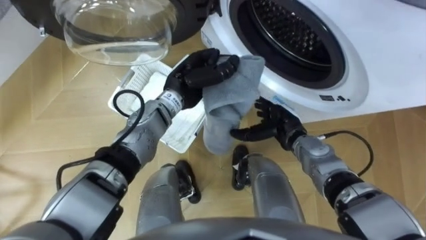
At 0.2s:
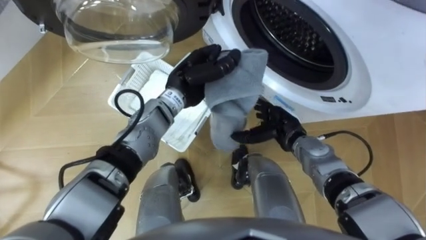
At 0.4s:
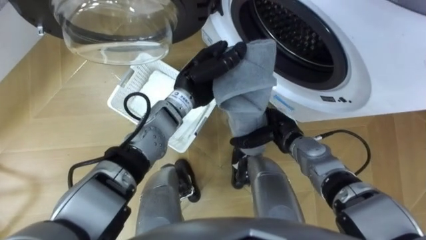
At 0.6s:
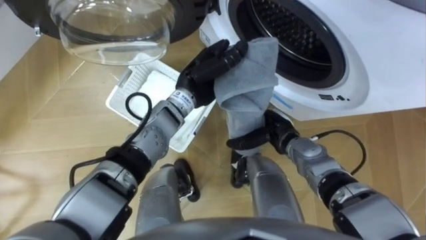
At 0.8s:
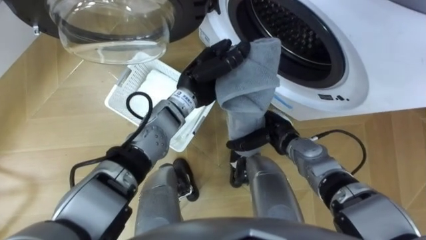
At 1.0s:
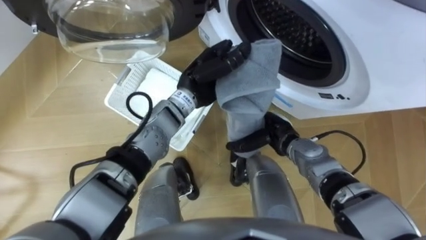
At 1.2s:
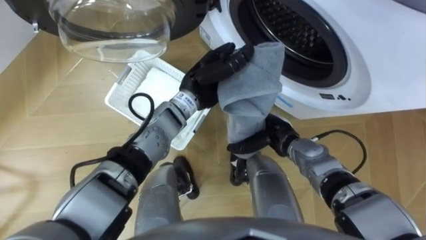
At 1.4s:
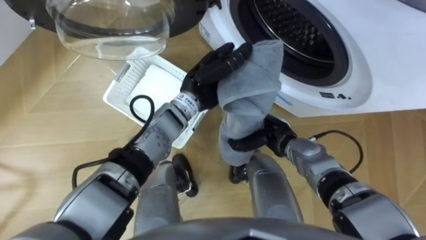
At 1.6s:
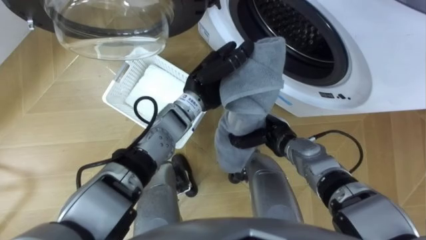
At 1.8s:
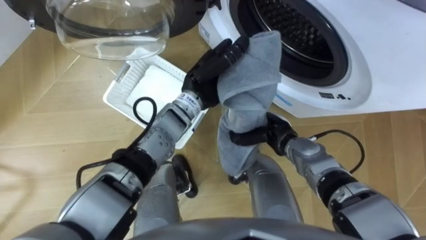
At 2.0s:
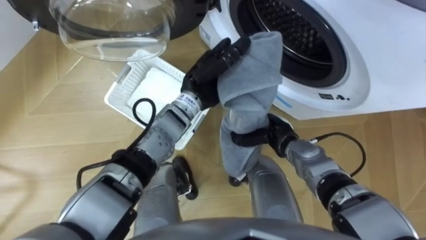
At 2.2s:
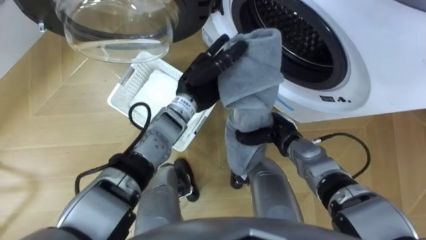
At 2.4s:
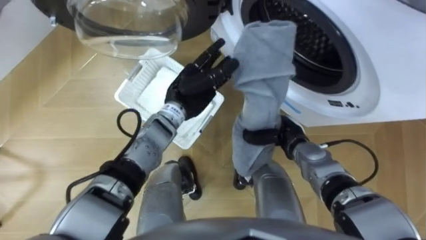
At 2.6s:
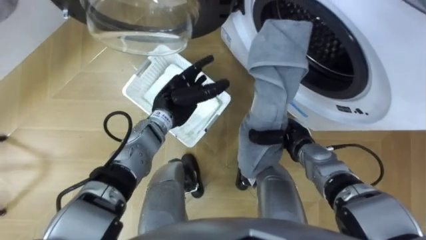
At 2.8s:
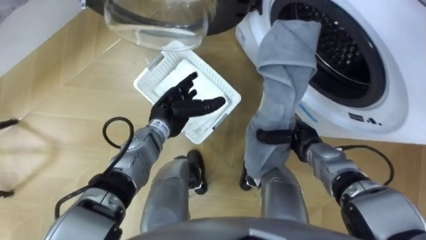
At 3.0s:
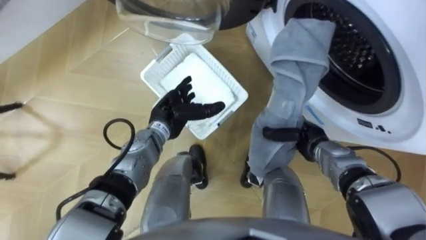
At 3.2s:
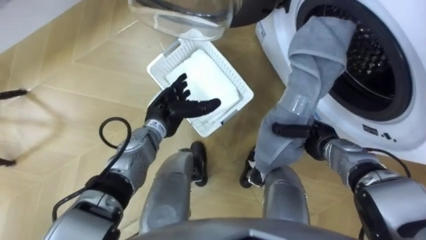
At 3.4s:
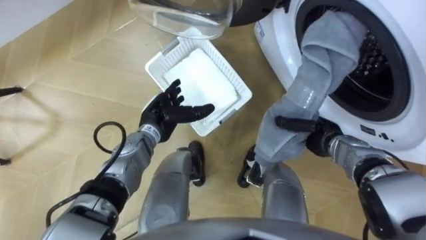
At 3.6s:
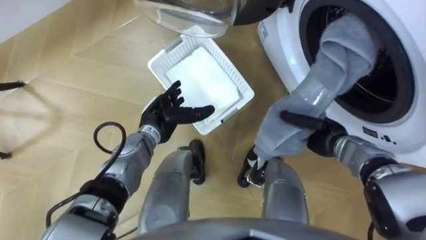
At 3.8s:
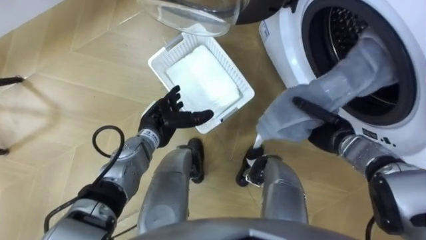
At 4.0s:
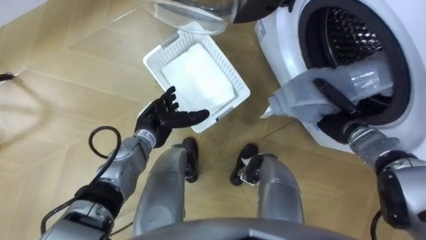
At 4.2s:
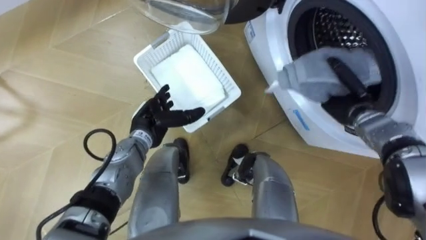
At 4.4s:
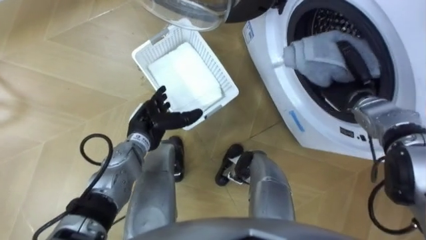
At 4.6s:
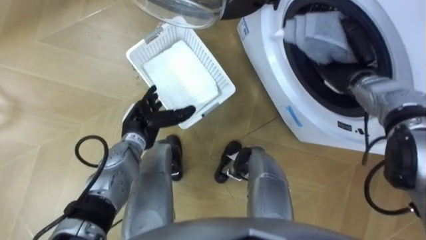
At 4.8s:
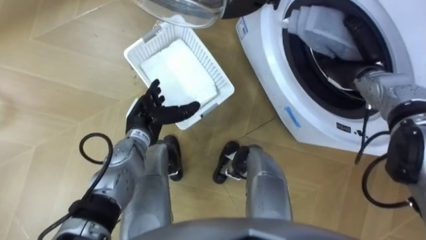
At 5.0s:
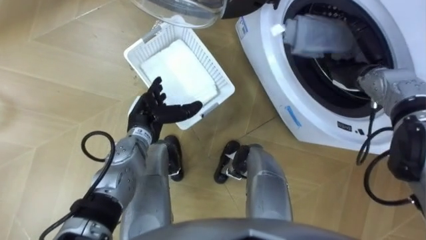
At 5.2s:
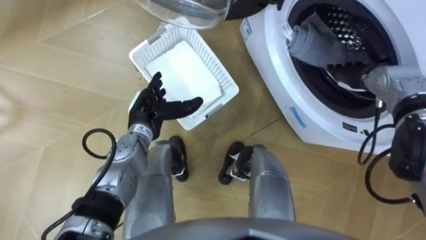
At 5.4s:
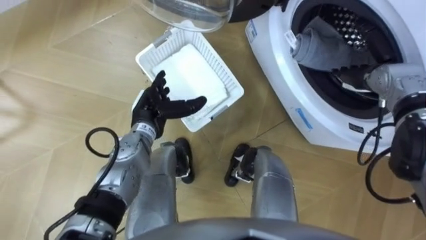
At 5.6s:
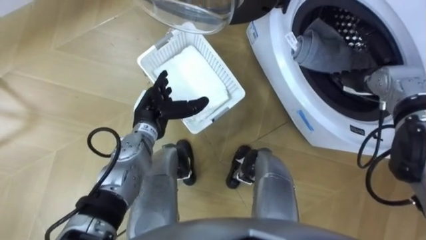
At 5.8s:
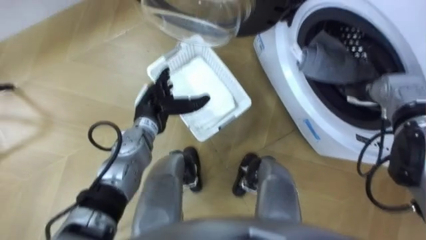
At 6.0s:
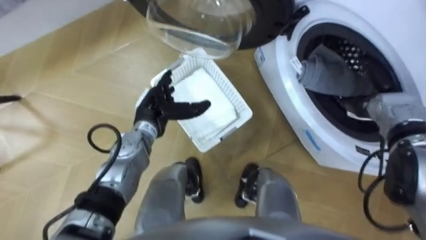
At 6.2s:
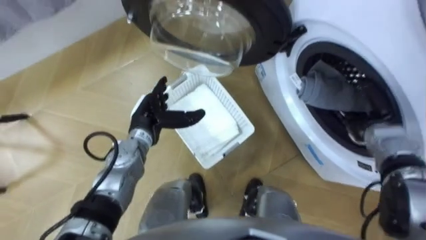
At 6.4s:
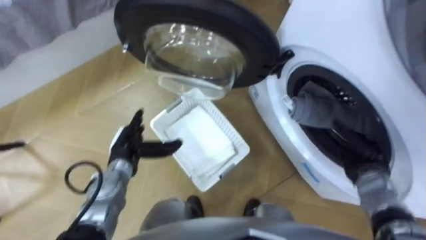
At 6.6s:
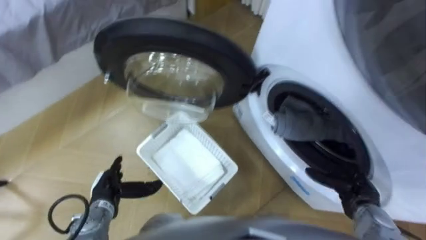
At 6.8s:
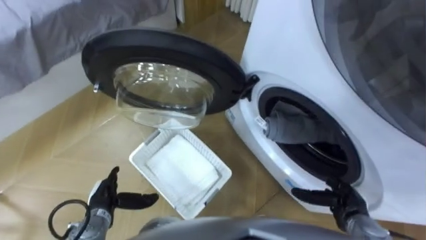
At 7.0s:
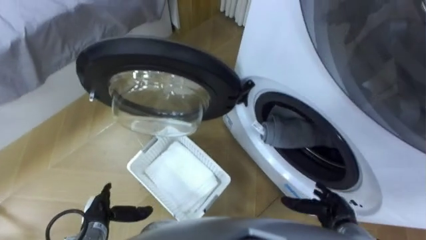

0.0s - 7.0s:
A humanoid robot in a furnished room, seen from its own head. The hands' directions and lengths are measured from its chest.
Task of the whole recording: Take the towel from the basket and put it into the washing machine.
1.4s - 2.8s: The right hand shifts some 5 cm to the right, and closes up. Meanwhile the left hand heads to the left and downward, covering some 10 cm, and opens its fingers.
2.8s - 4.2s: The left hand changes place by some 5 cm, while the right hand goes some 15 cm to the right, upward and forward.
4.2s - 5.6s: The right hand moves upward, roughly 5 cm, and opens up.
5.6s - 7.0s: The left hand heads backward, downward and to the left, covering roughly 25 cm; the right hand heads backward and downward, covering approximately 30 cm.

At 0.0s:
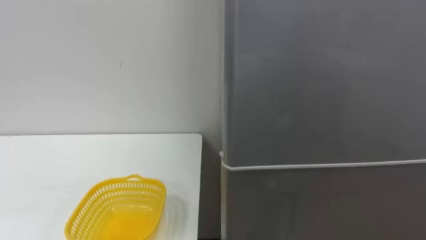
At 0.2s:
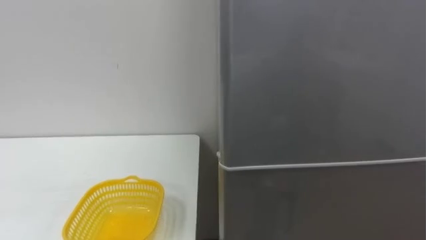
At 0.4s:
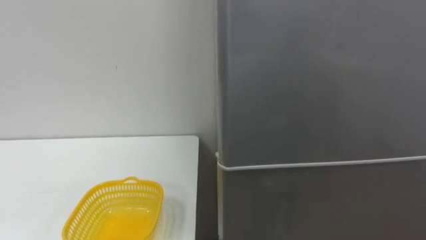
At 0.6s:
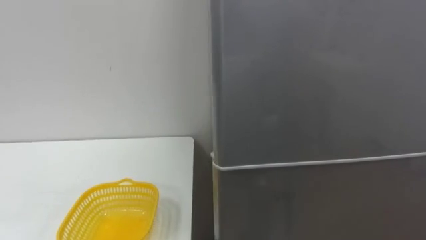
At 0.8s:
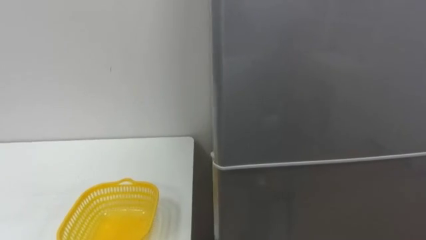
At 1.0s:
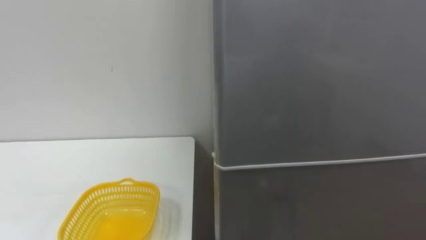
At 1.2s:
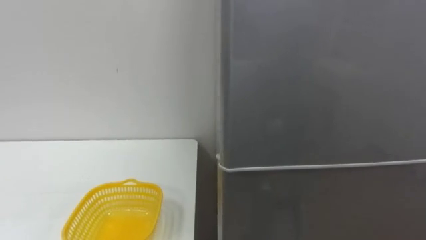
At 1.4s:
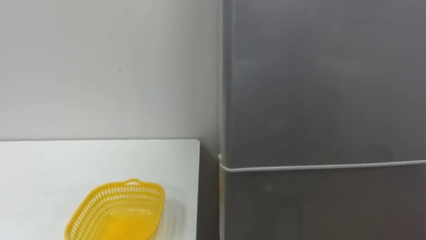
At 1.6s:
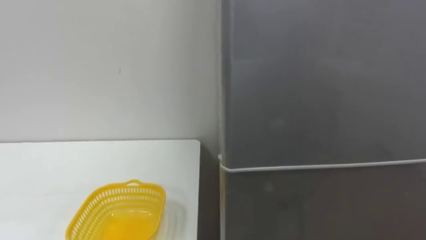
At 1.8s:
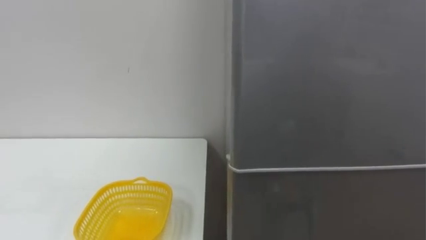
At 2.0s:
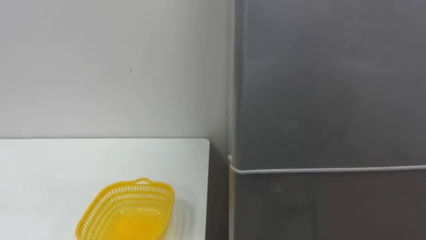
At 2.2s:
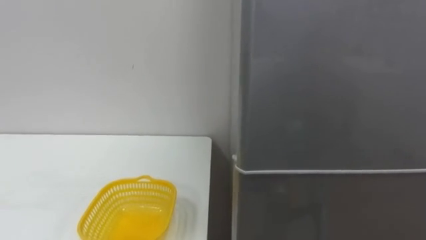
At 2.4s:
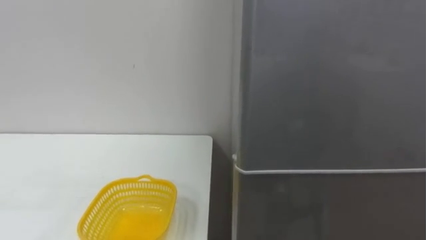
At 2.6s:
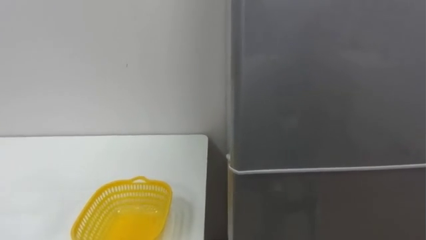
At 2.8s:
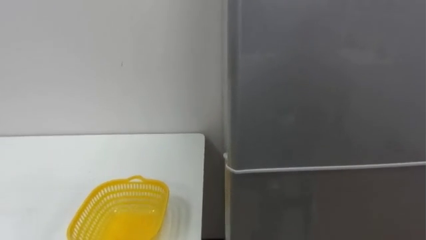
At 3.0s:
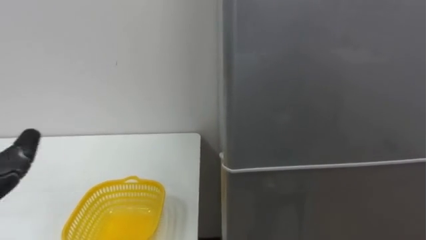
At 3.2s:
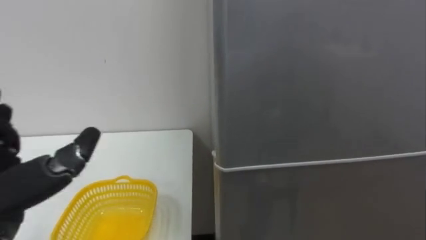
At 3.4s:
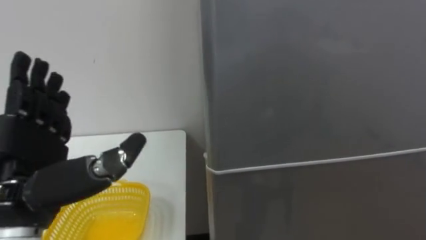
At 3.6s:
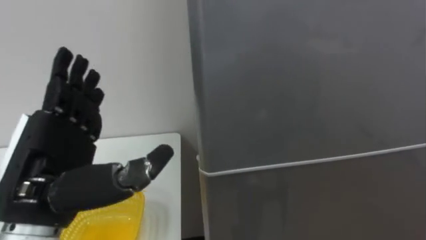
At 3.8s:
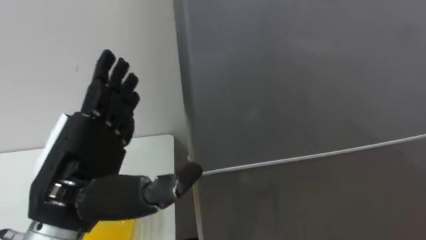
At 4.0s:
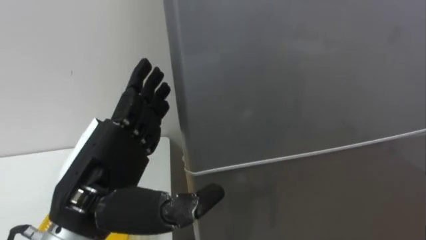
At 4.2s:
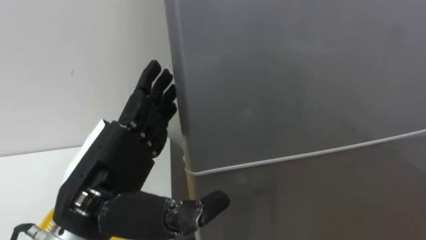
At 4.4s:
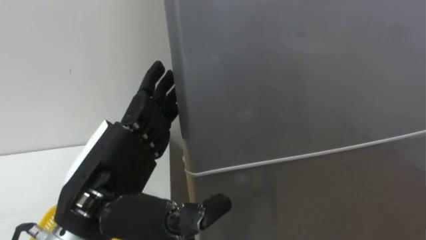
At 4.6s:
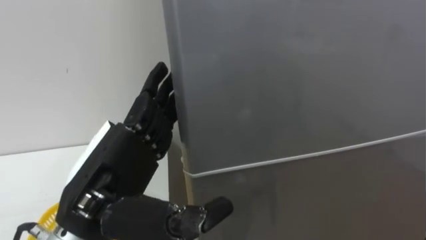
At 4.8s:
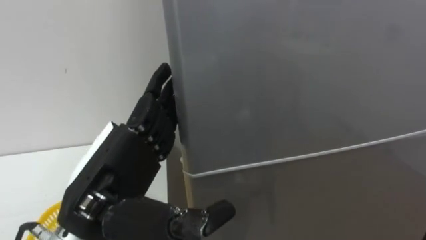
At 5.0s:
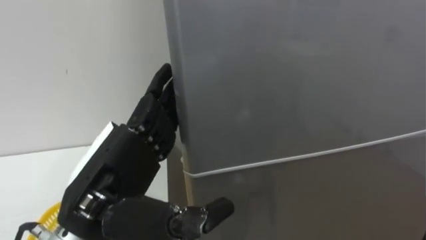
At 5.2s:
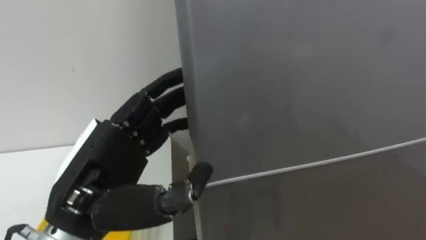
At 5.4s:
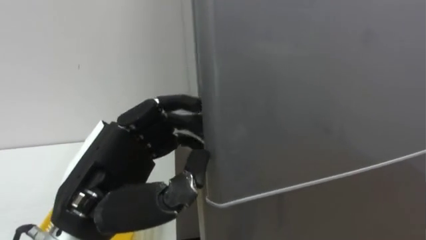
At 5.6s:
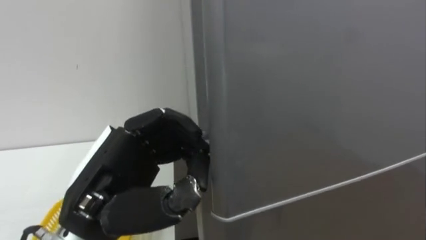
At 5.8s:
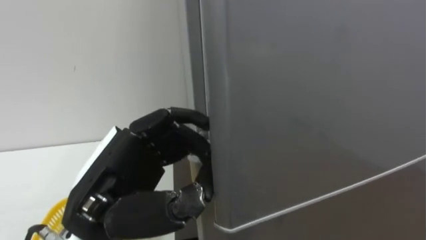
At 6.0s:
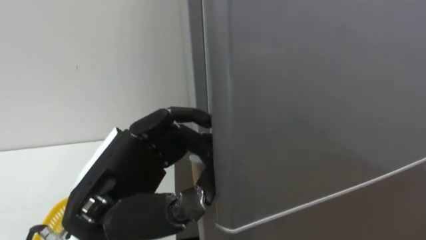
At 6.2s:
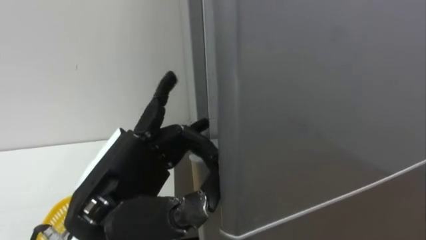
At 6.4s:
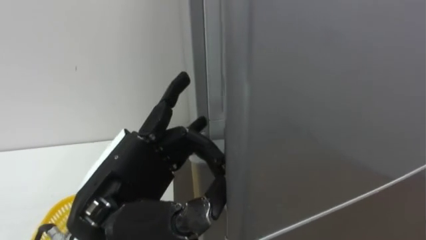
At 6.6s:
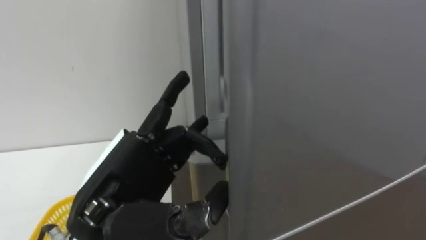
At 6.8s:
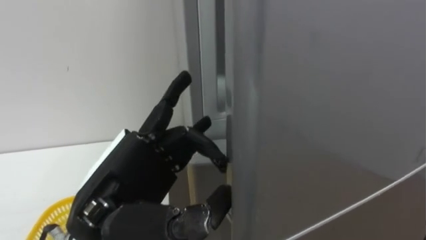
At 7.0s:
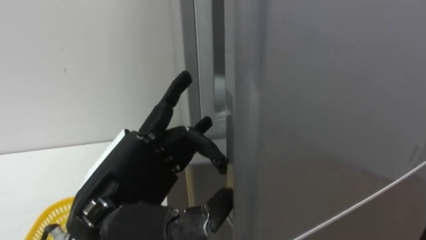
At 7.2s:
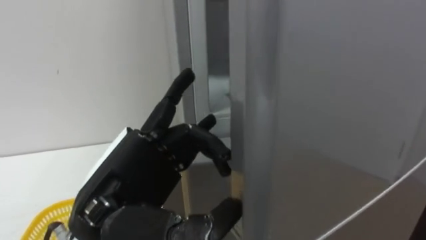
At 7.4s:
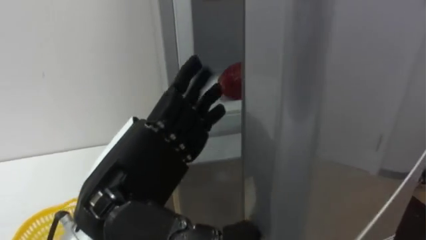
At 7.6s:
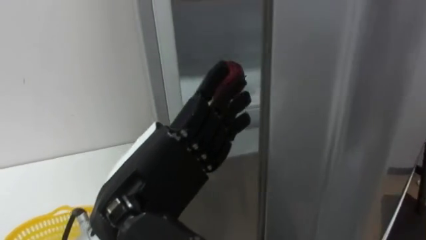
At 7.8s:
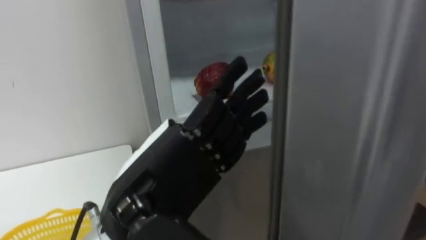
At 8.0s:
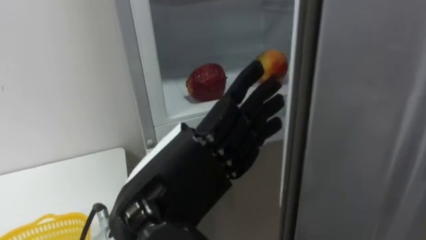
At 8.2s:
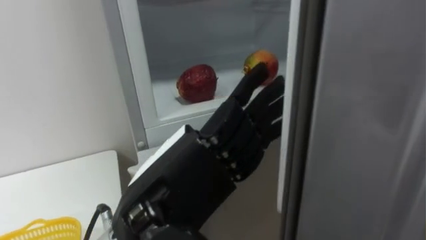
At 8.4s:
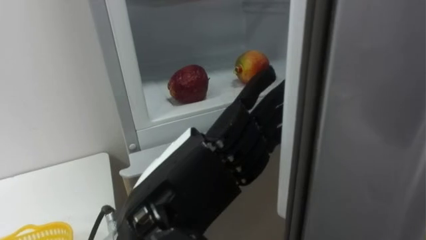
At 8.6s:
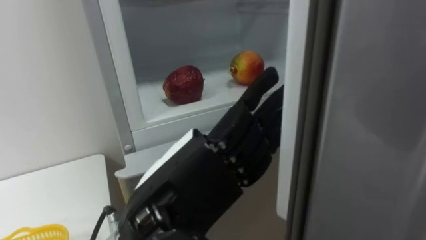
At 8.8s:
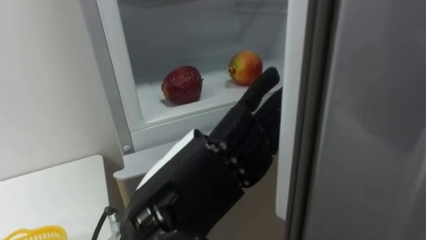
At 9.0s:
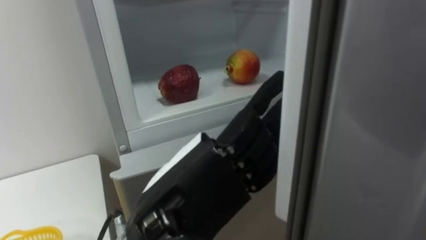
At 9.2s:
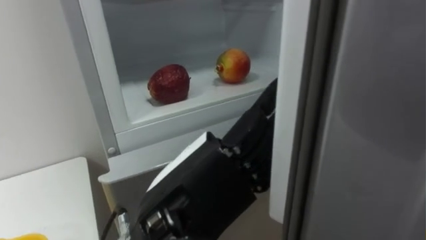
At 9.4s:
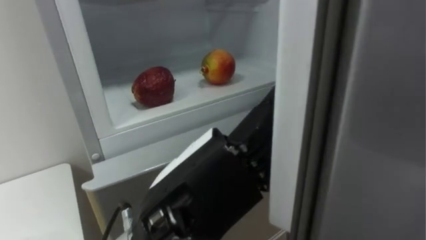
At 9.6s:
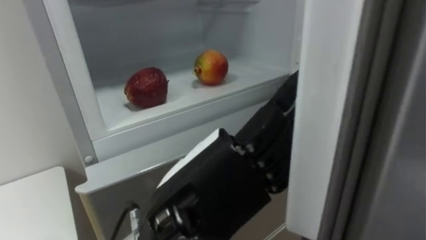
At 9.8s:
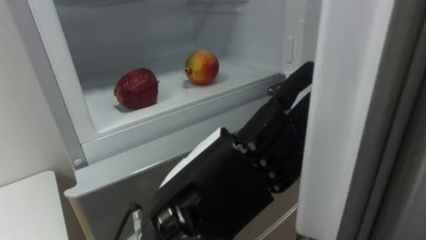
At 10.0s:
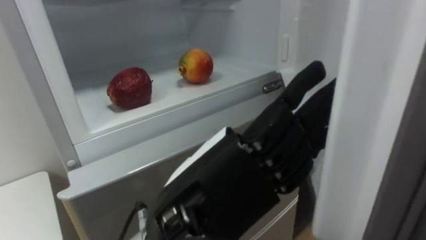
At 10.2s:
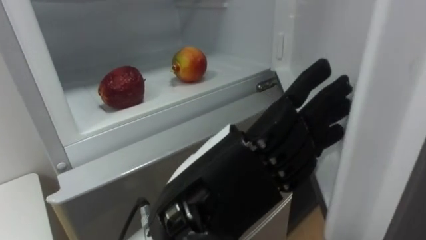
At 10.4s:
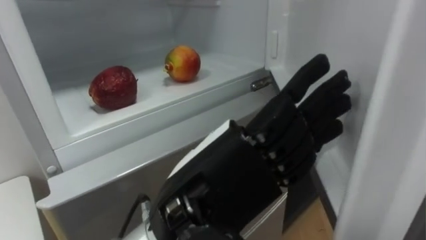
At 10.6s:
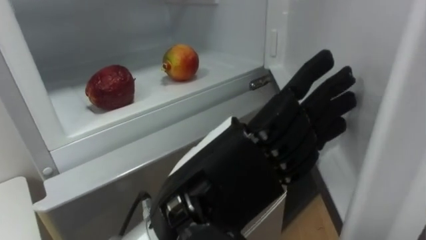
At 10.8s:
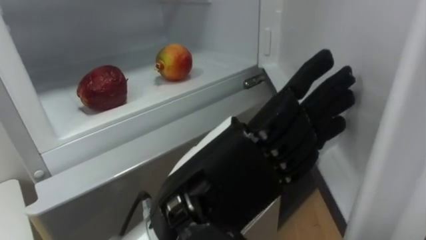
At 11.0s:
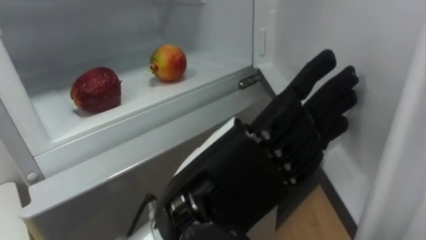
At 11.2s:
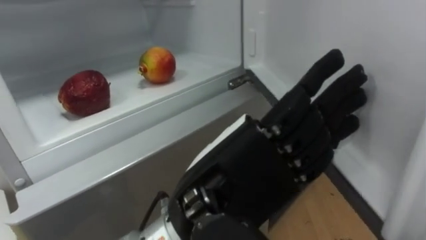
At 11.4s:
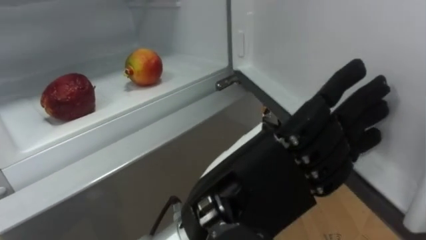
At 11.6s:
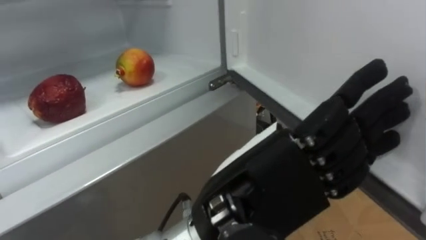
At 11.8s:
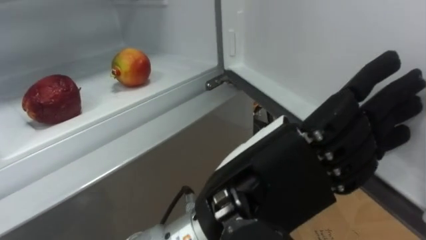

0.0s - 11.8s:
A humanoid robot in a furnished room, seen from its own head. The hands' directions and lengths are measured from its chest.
Task of the whole recording: Open the refrigerator door, take out the apple and the pomegranate, place them in the fruit basket on the left, and close the refrigerator door.
4.4s - 6.0s: The left hand closes and opens again.
7.4s - 8.8s: The left hand goes approximately 5 cm to the right.
